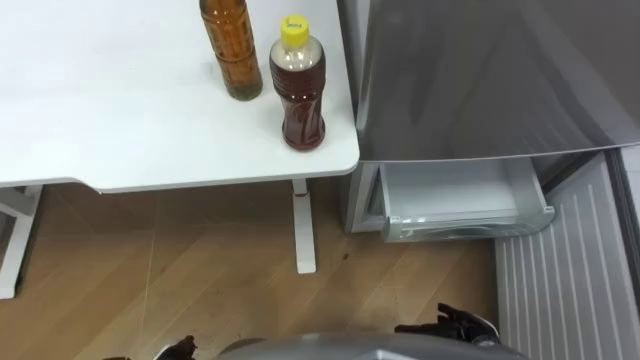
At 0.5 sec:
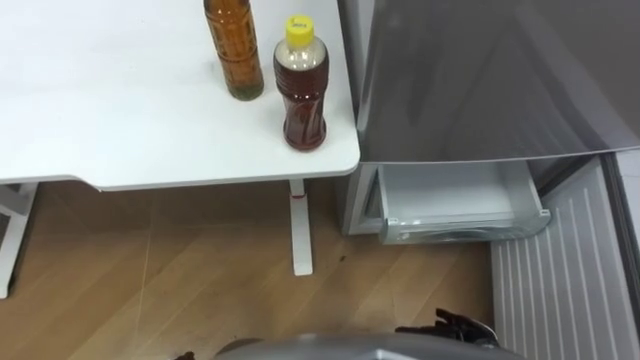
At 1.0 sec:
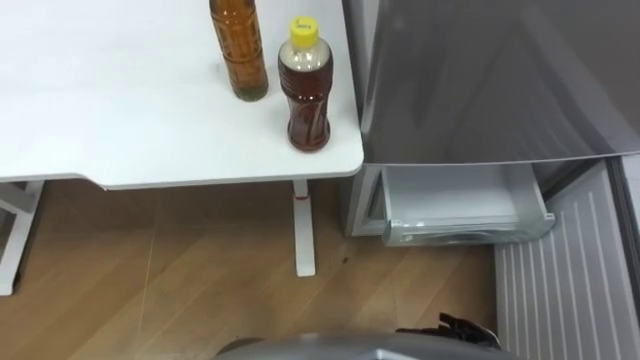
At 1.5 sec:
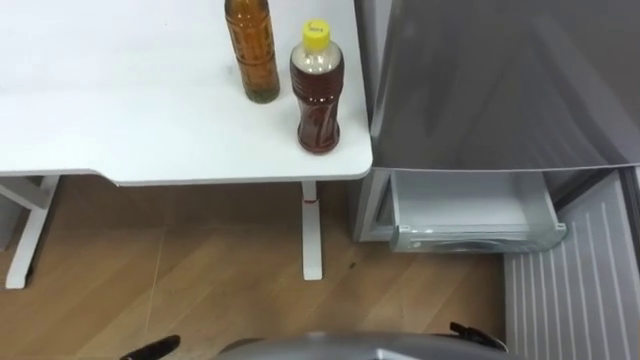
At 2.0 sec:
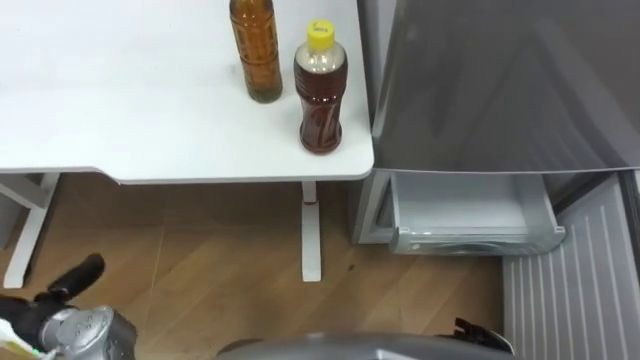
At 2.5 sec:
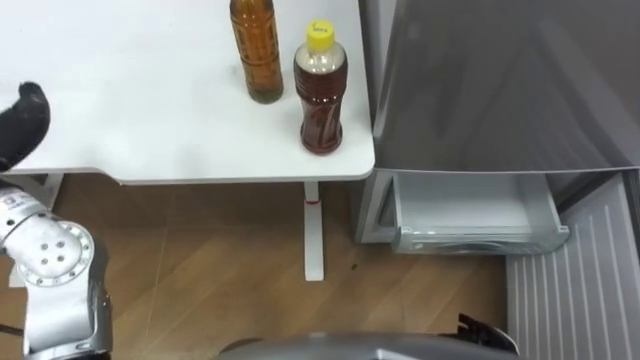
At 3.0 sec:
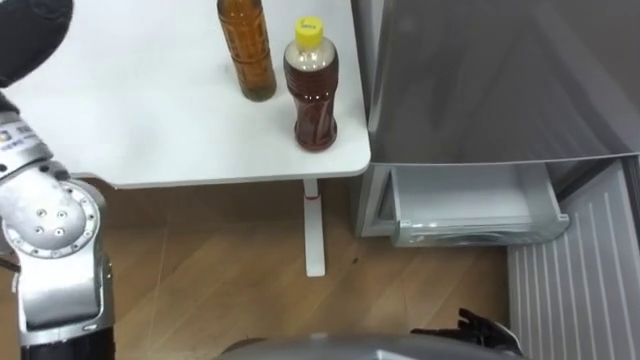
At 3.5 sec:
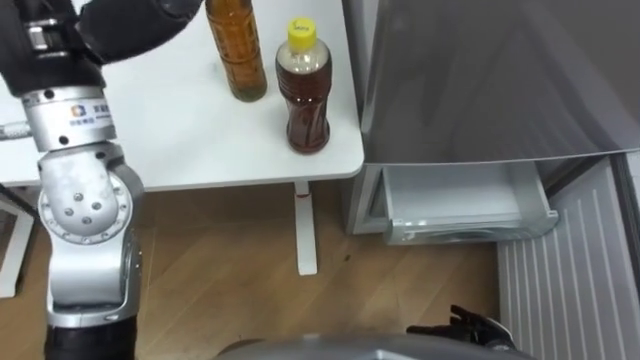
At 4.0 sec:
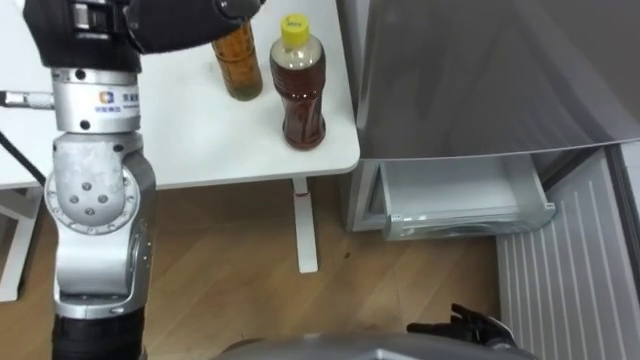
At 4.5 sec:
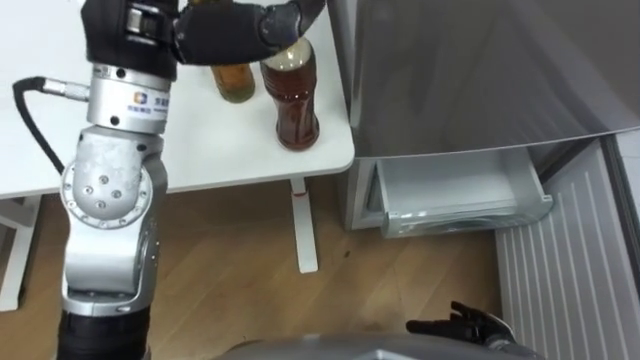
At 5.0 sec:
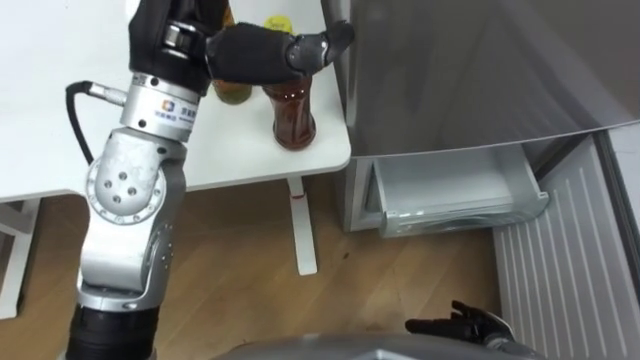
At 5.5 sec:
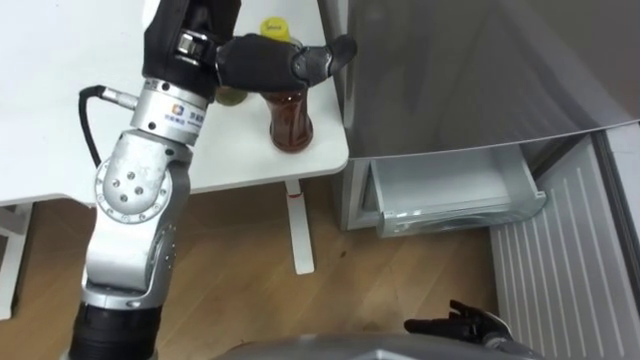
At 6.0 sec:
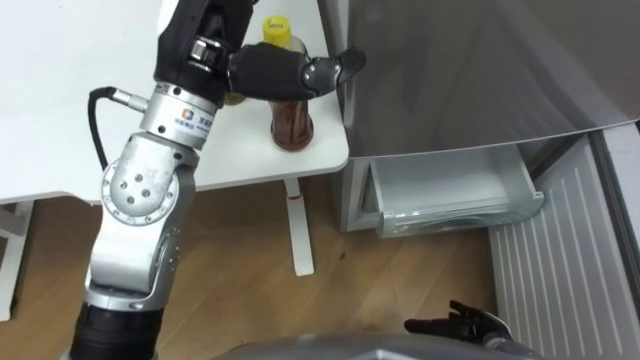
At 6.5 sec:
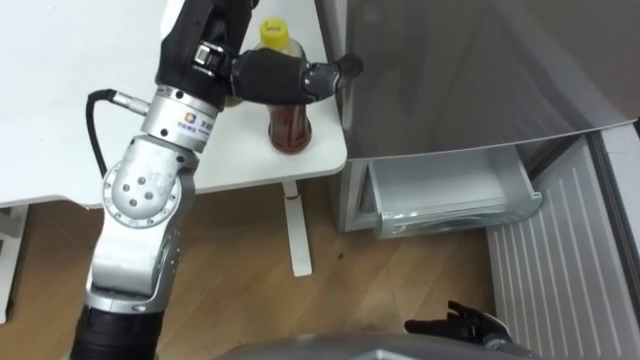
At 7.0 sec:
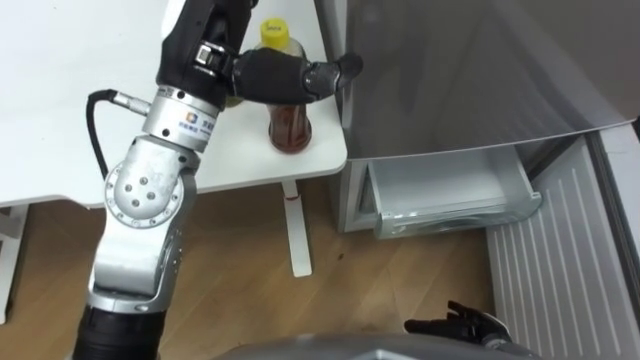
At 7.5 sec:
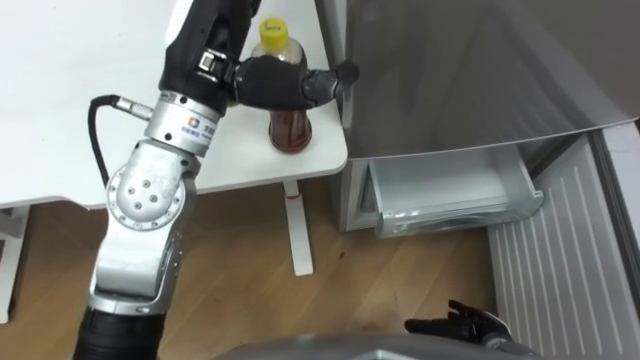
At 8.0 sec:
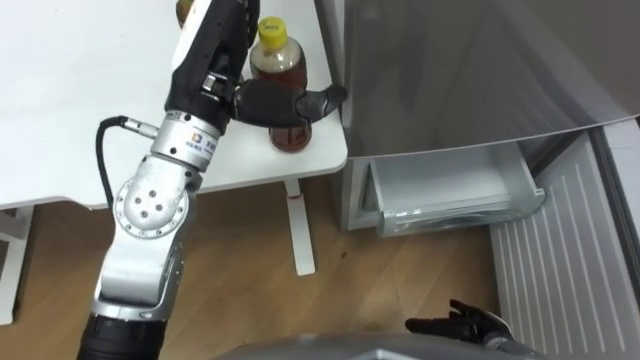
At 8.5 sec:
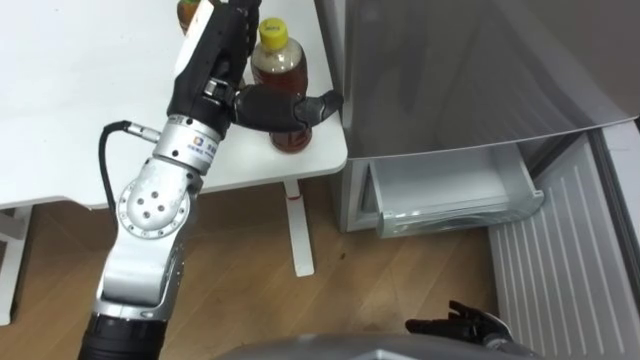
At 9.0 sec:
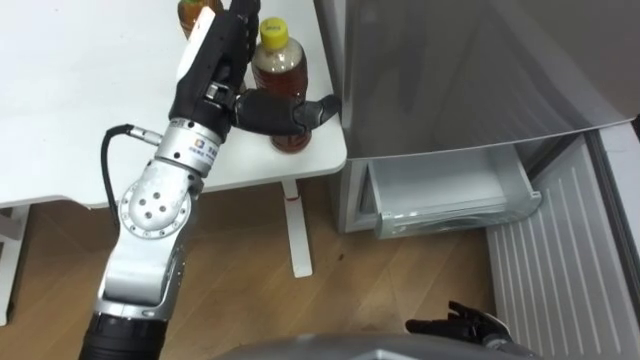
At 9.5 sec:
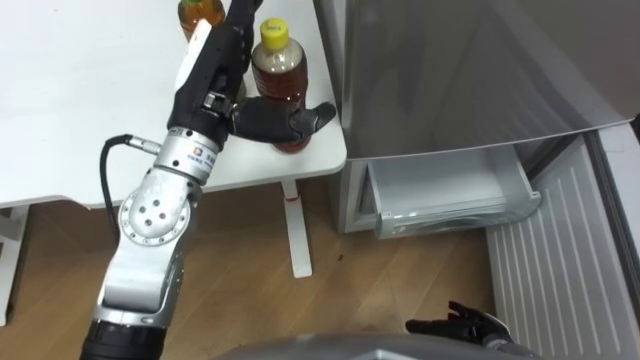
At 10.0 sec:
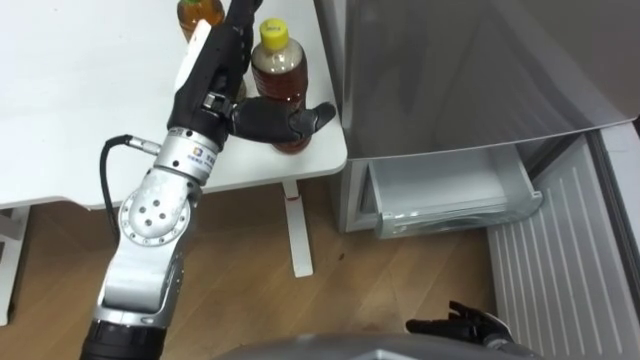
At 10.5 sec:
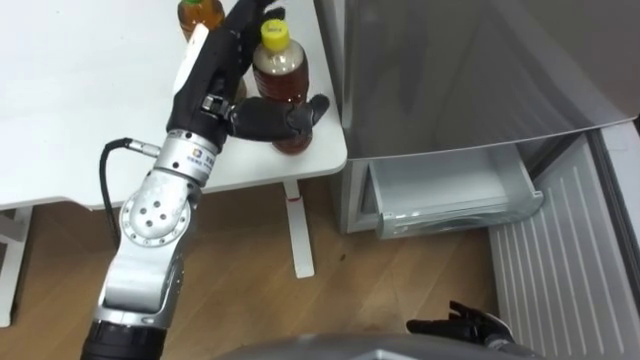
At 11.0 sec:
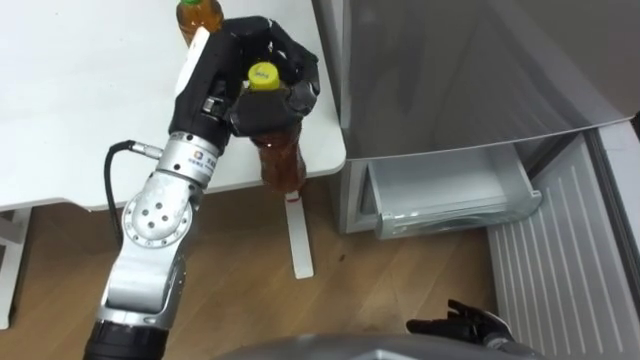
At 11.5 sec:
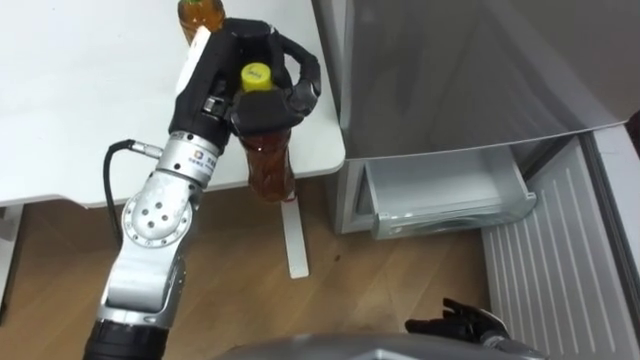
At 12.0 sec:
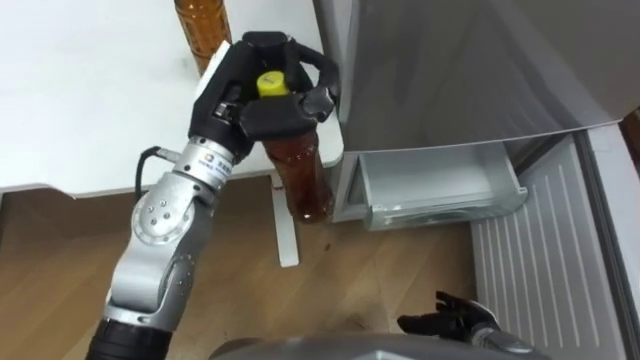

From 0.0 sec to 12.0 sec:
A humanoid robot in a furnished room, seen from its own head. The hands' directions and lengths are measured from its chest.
Task of the whole recording: Place the drink on the table on the bottom shelf of the refrigerator, then close the drawer and the refrigerator door.
From 4.0 sec to 6.0 sec: The left hand moves to the right and downward, about 10 cm.
From 6.0 sec to 8.0 sec: The hands move only a little.
From 8.0 sec to 10.0 sec: The hands stay close to where they were, moving slightly.
From 10.0 sec to 12.0 sec: The left hand closes.

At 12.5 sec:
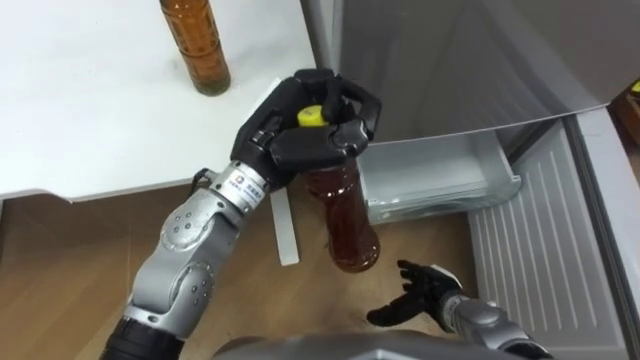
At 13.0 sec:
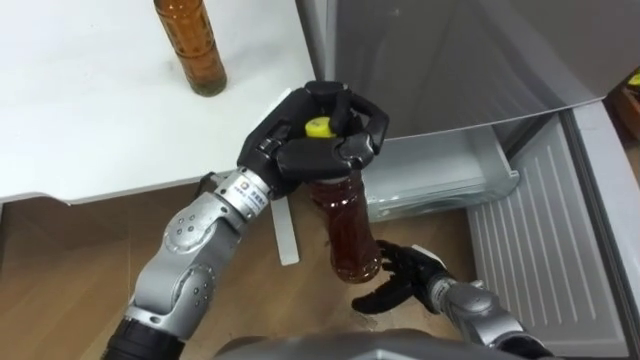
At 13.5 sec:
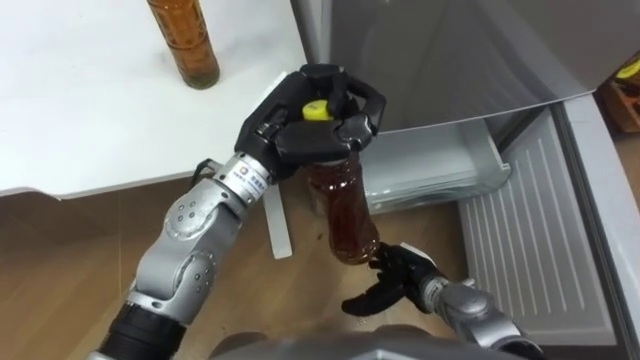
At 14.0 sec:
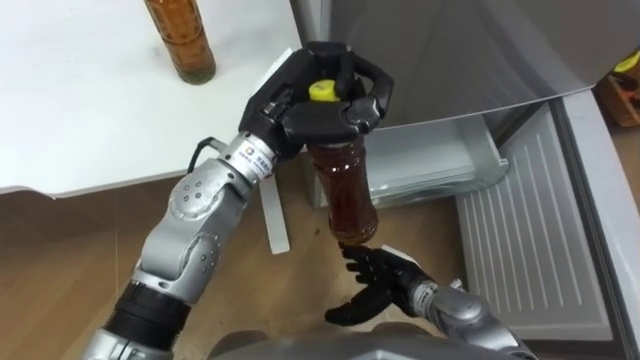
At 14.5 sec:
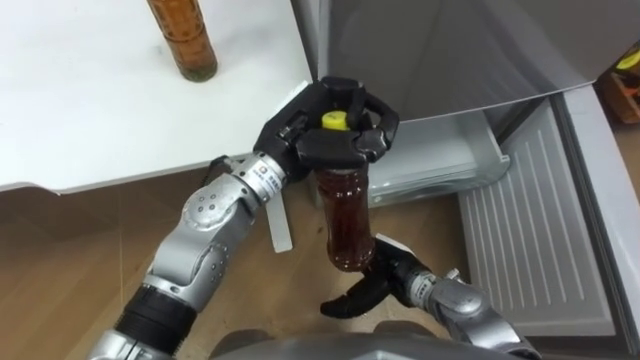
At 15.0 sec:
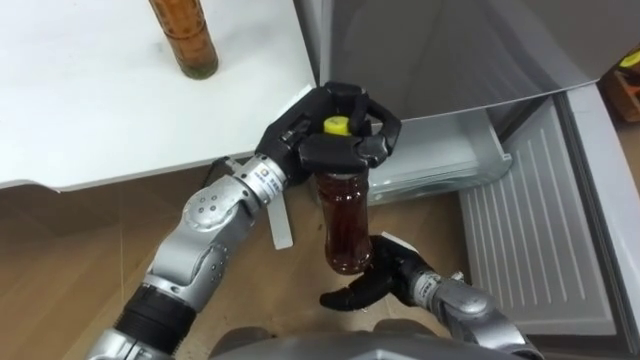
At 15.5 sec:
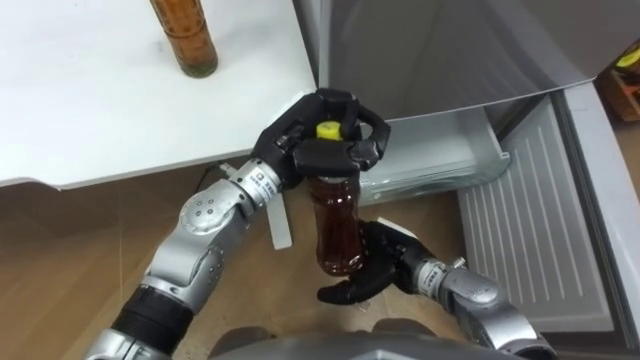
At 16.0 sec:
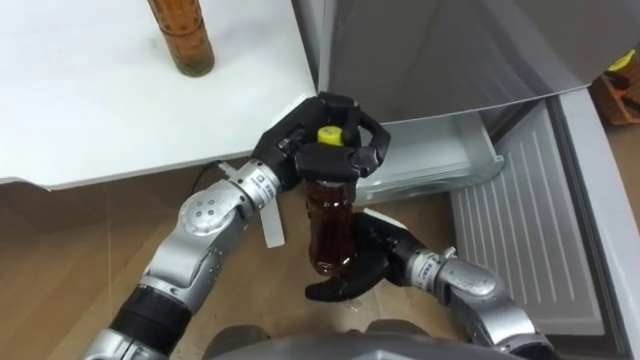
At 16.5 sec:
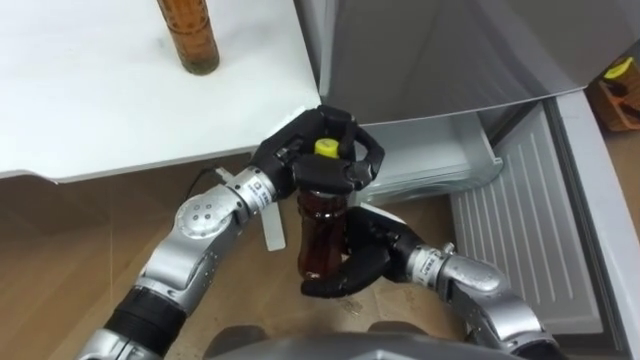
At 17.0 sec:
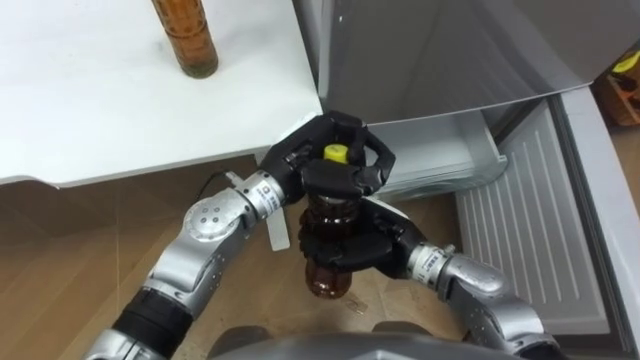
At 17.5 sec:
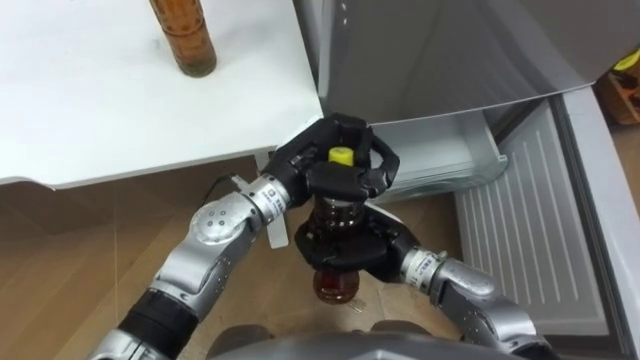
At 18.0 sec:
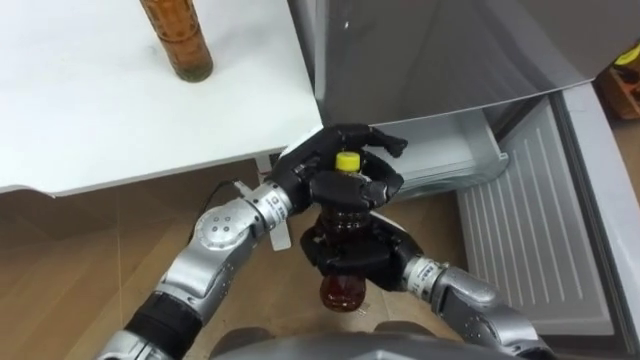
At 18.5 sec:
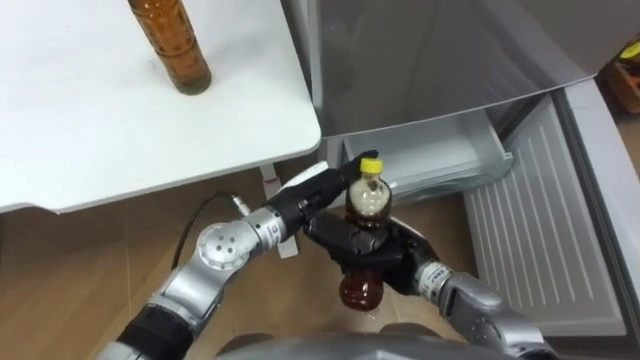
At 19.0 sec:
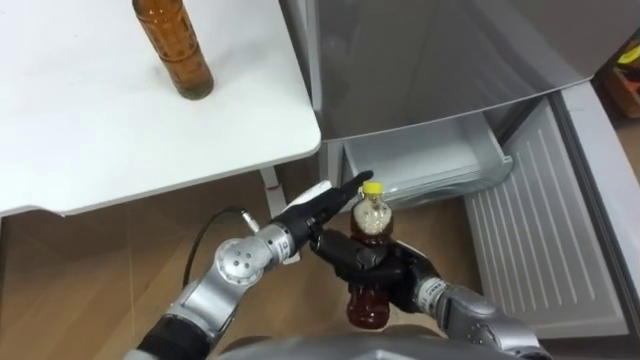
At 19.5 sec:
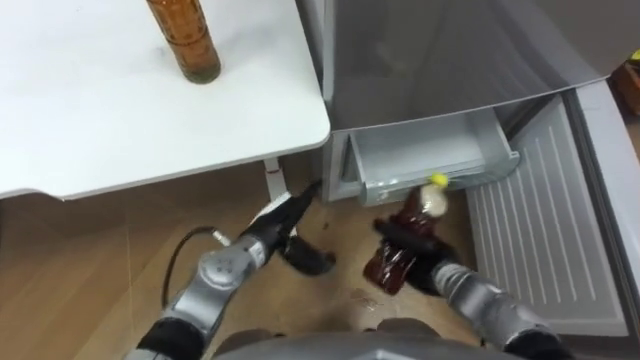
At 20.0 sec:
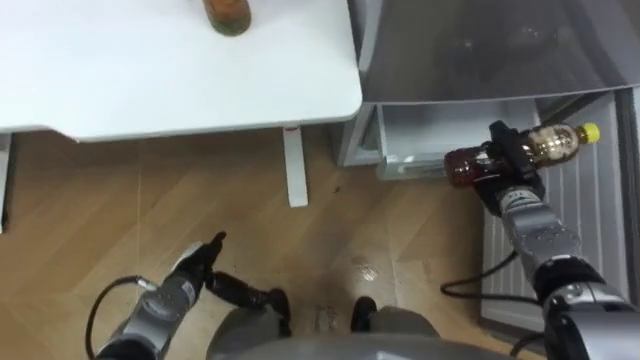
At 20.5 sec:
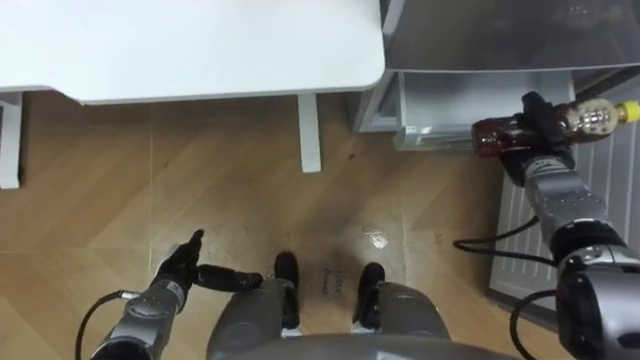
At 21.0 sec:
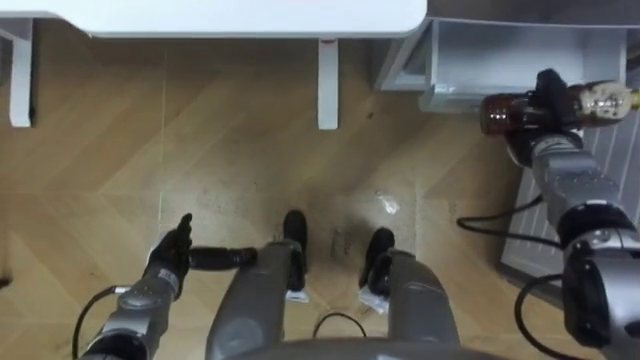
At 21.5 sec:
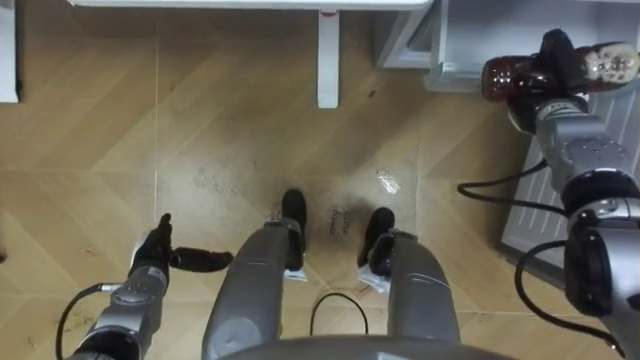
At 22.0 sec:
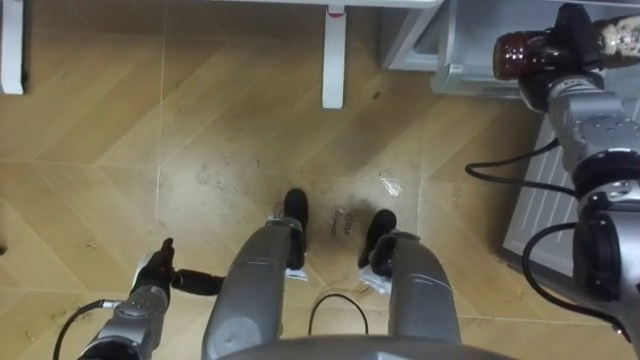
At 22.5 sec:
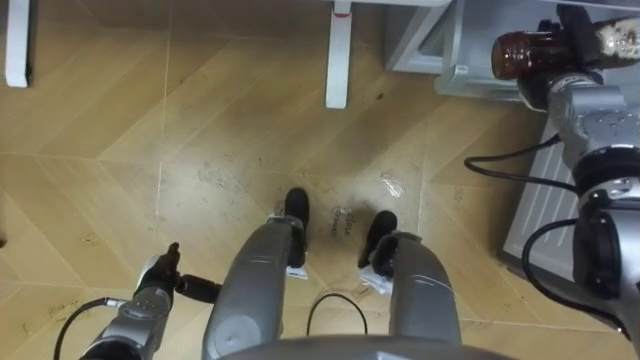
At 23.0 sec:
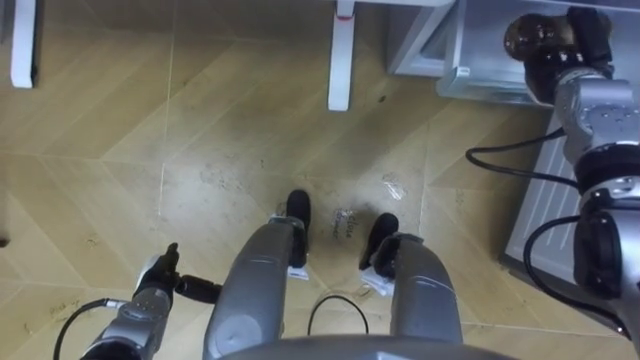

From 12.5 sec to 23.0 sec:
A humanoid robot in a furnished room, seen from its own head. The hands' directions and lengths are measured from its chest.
Task of the whole recording: Place the drink on the table on the bottom shelf of the refrigerator, then close the drawer and the refrigerator door.
From 12.5 sec to 14.5 sec: The right hand heads to the left and upward, covering about 10 cm.
From 14.5 sec to 16.5 sec: The right hand heads upward, covering approximately 5 cm.
From 16.5 sec to 19.0 sec: The left hand shifts some 10 cm downward and backward, and opens its fingers. The right hand is displaced downward by about 5 cm, and closes.
From 19.0 sec to 21.0 sec: The left hand is displaced to the left and downward by about 25 cm, while the right hand travels to the right and forward by about 25 cm.
From 21.0 sec to 23.0 sec: The right hand heads upward and forward, covering some 10 cm, and opens.
